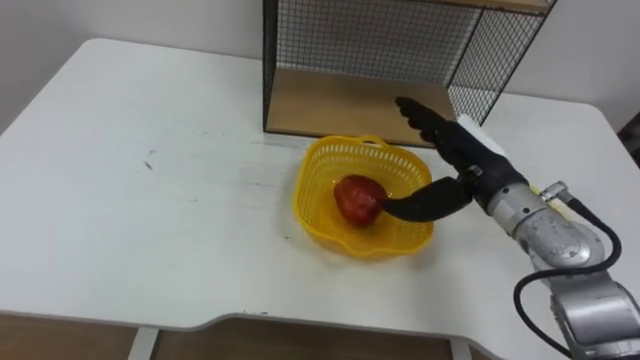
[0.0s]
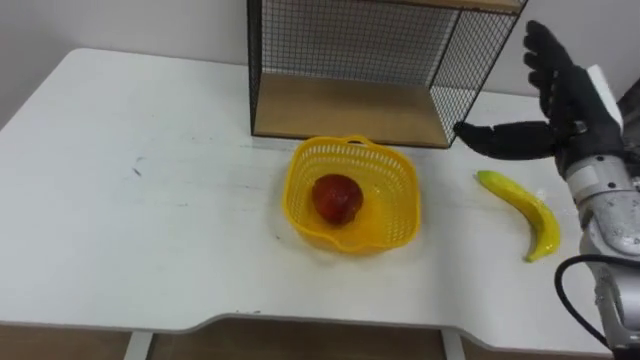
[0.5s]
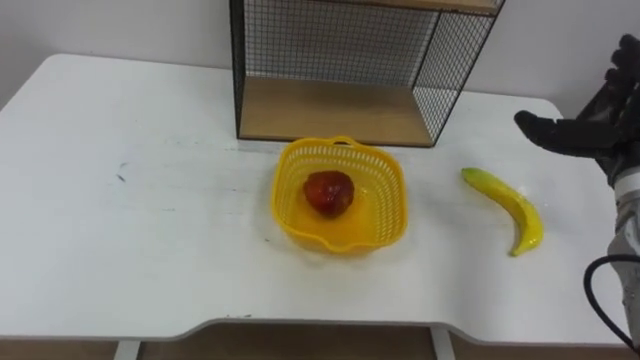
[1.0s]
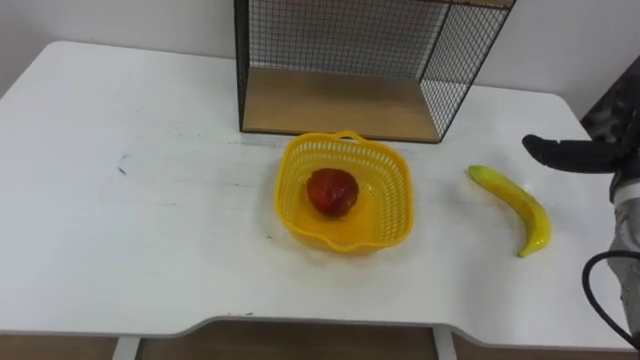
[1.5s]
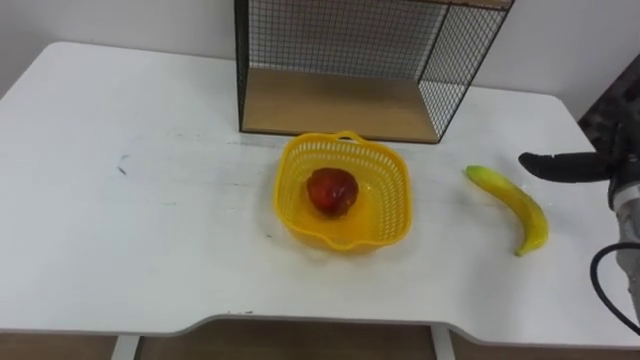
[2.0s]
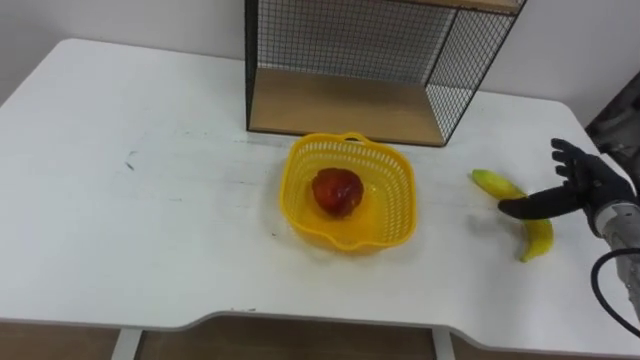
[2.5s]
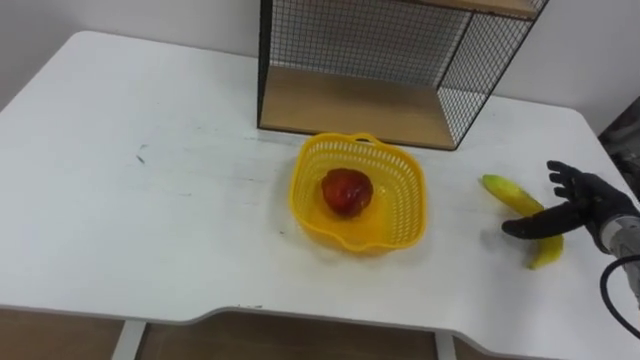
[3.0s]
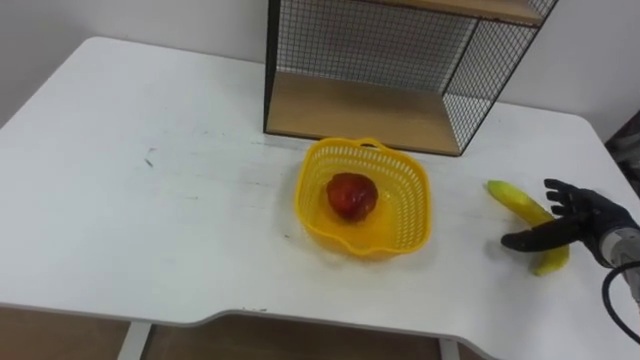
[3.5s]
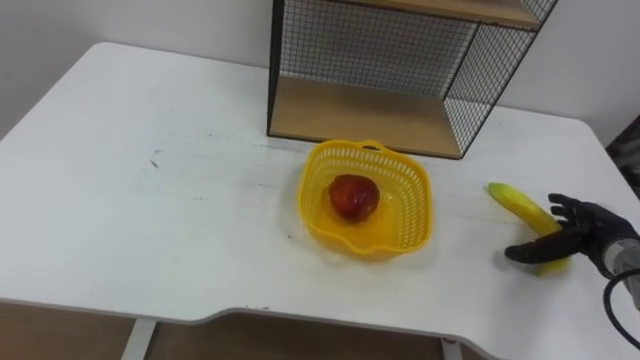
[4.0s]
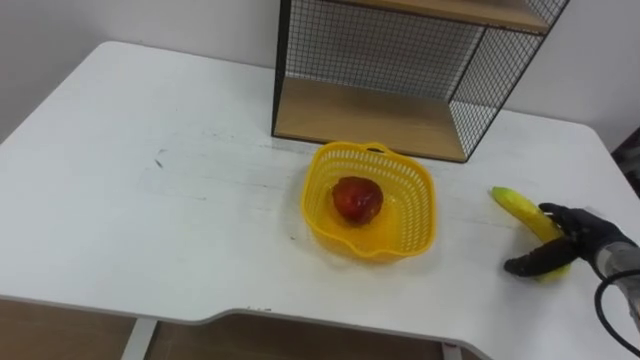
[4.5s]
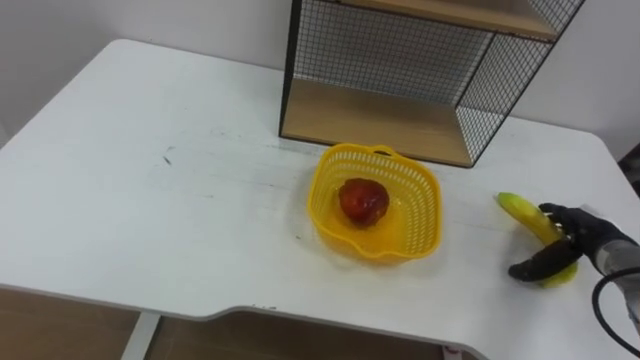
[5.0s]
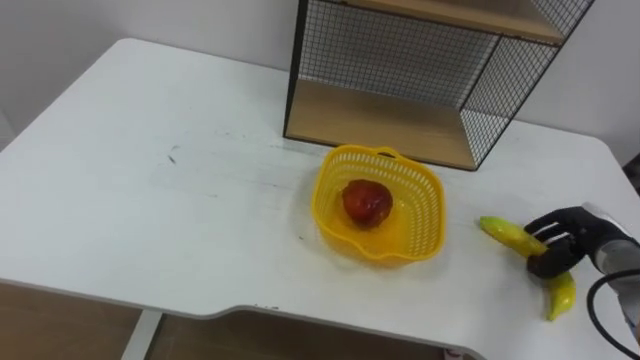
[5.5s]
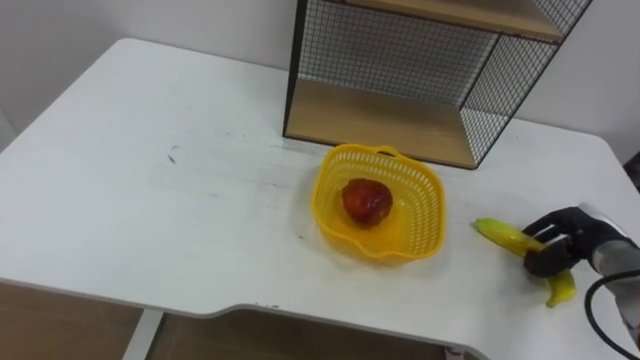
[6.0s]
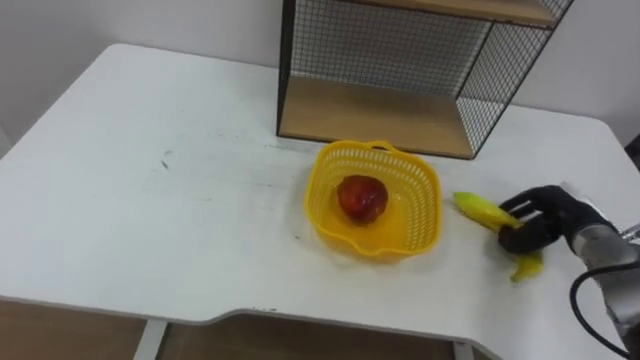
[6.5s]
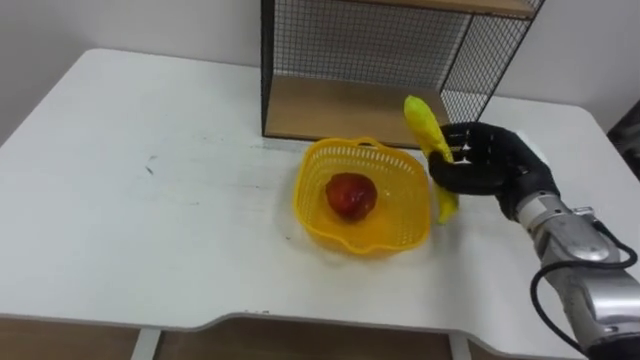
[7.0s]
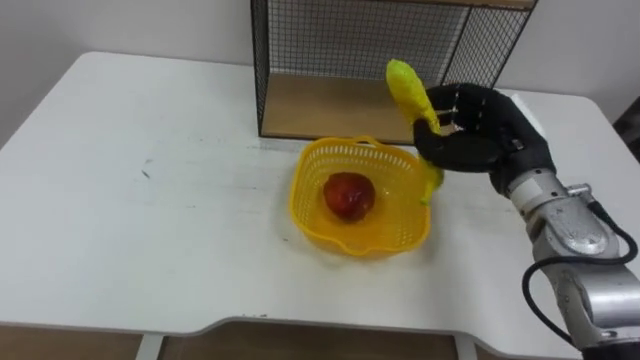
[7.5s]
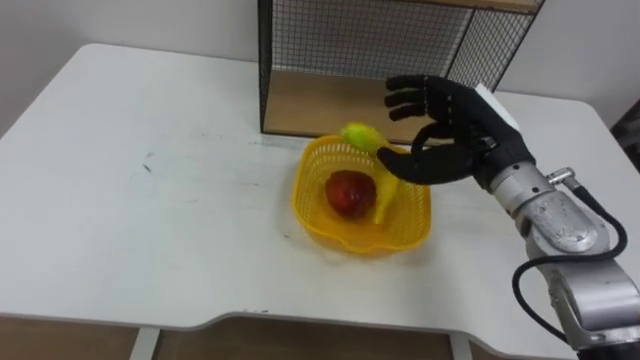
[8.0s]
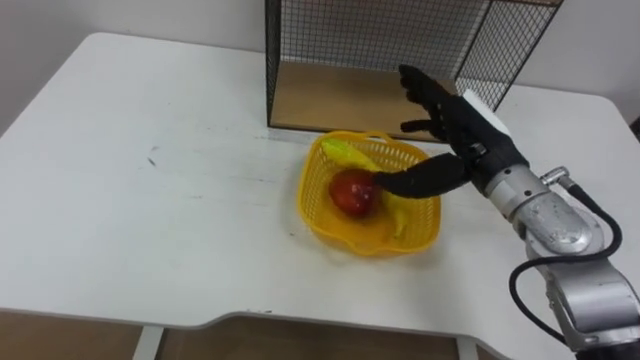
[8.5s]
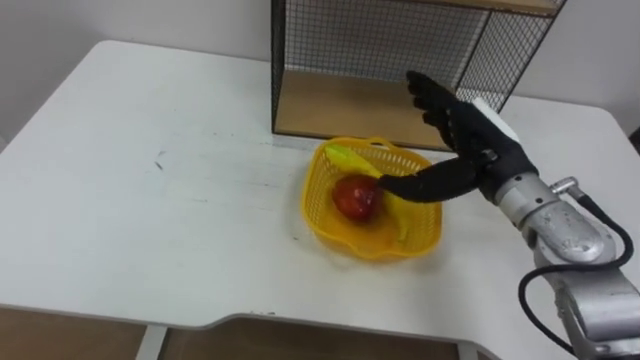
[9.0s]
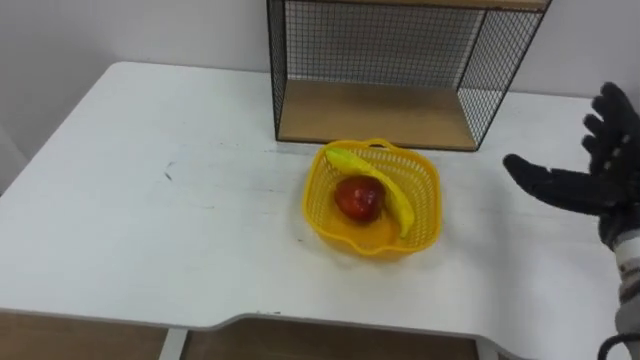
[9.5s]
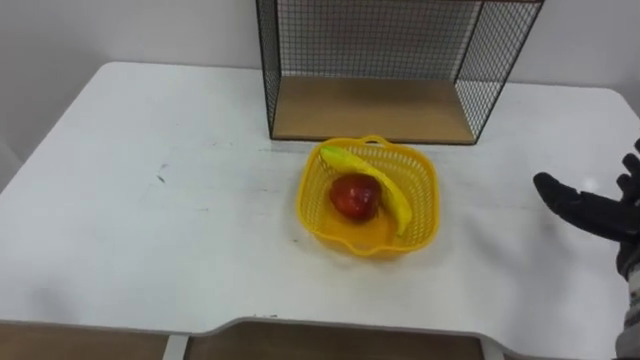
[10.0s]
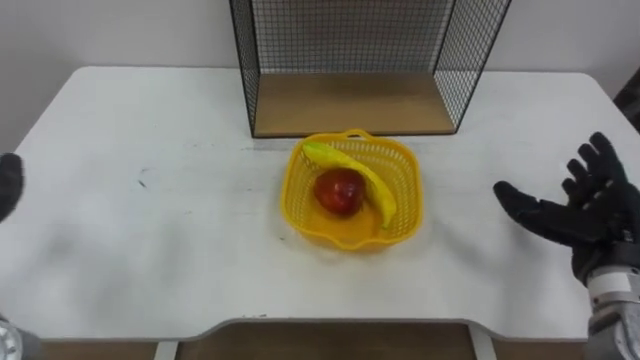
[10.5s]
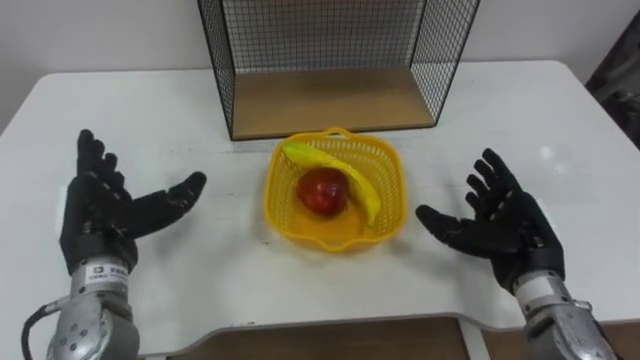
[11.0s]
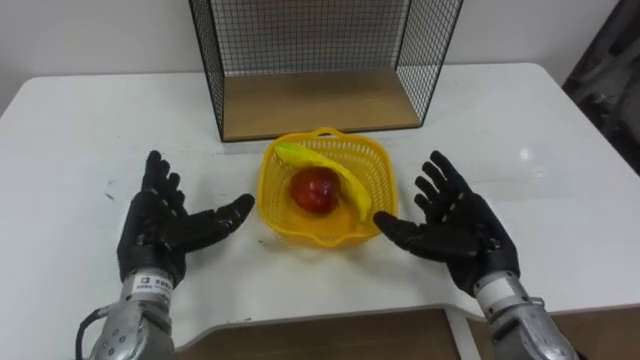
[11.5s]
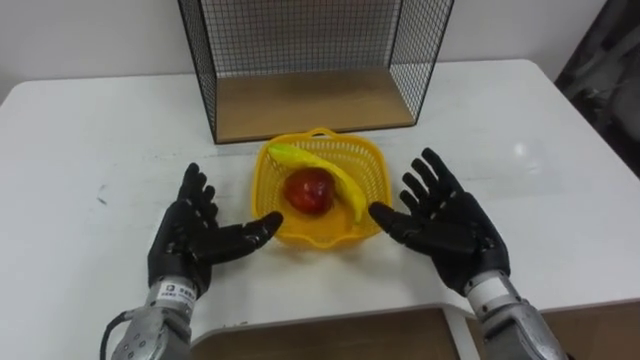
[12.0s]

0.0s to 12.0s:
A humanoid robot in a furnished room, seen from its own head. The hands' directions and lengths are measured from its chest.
Task of the whole recording: Put the fruit on the table into the basket, then place the basket on the shelf.
2.0s to 4.0s: The right hand is displaced downward by approximately 10 cm.
4.0s to 6.0s: The right hand closes up.
6.0s to 8.0s: The right hand travels to the left and upward by approximately 25 cm.

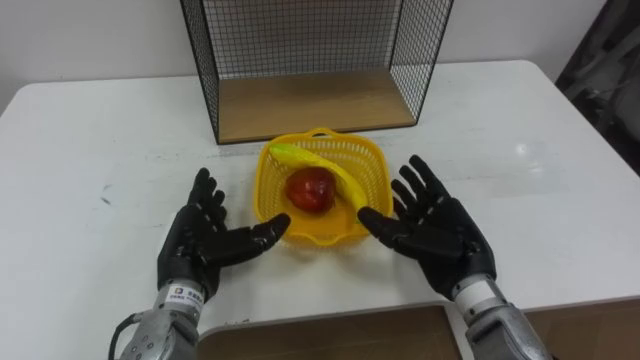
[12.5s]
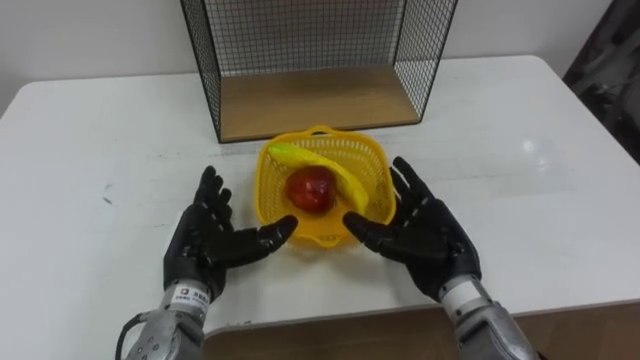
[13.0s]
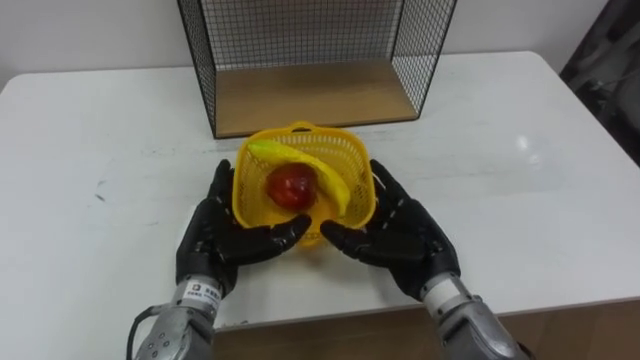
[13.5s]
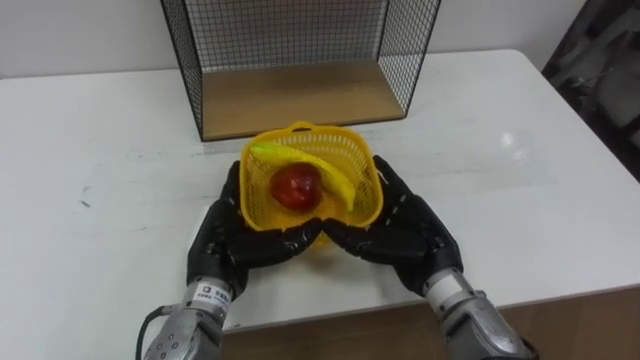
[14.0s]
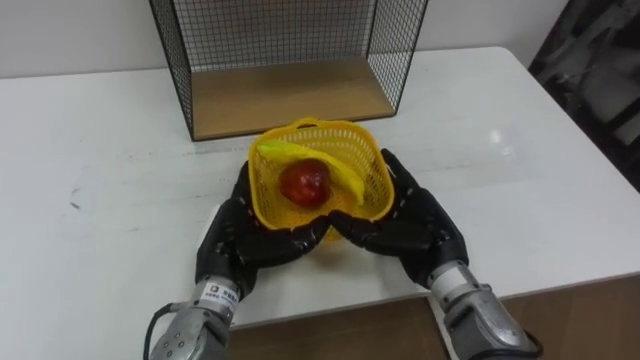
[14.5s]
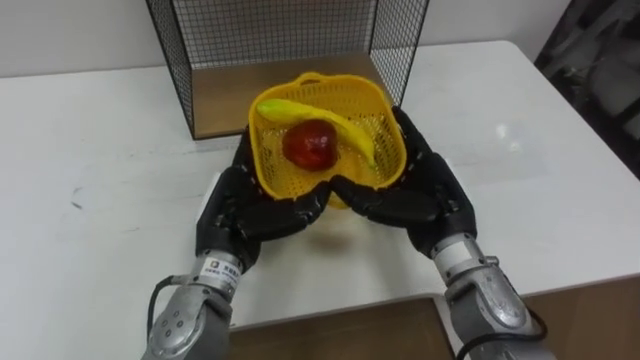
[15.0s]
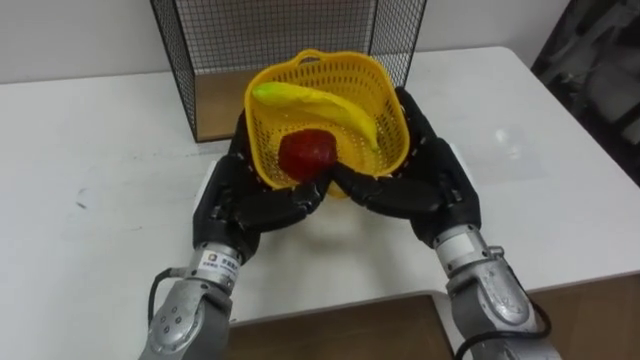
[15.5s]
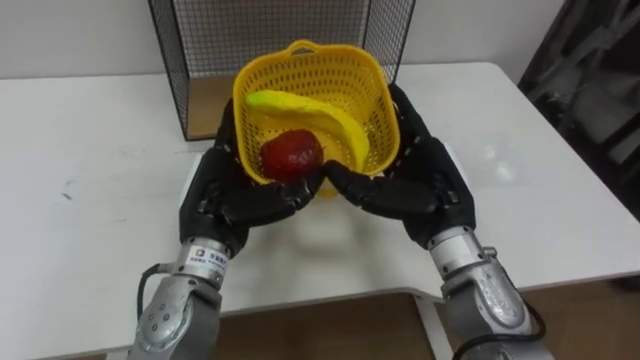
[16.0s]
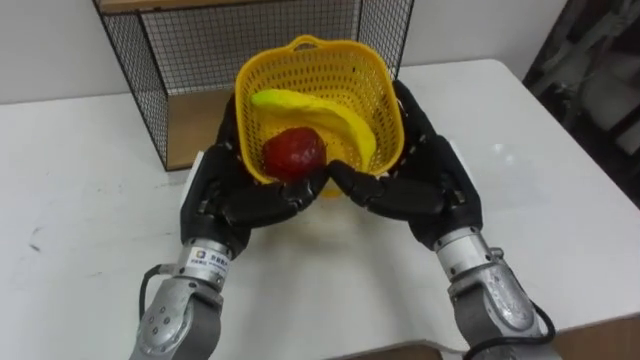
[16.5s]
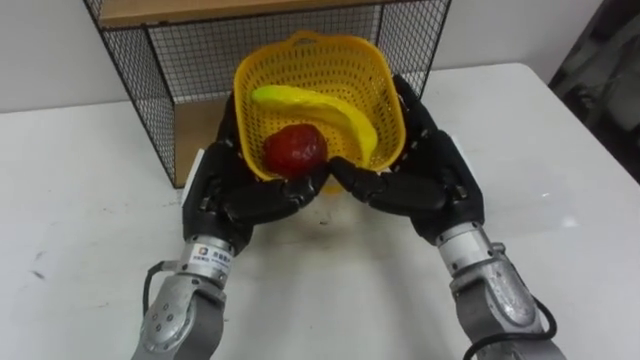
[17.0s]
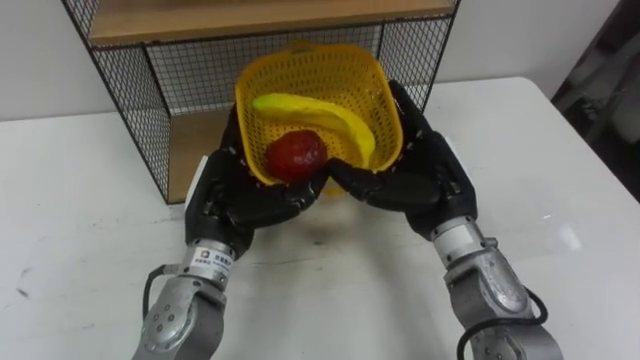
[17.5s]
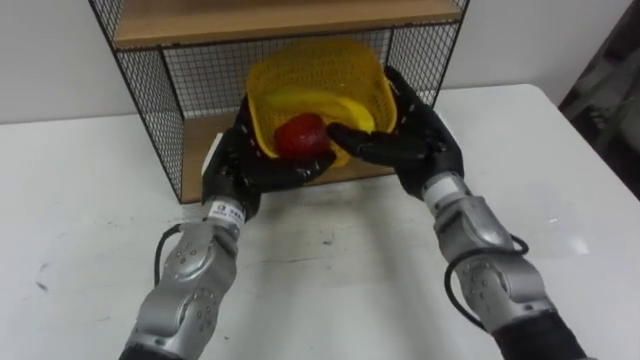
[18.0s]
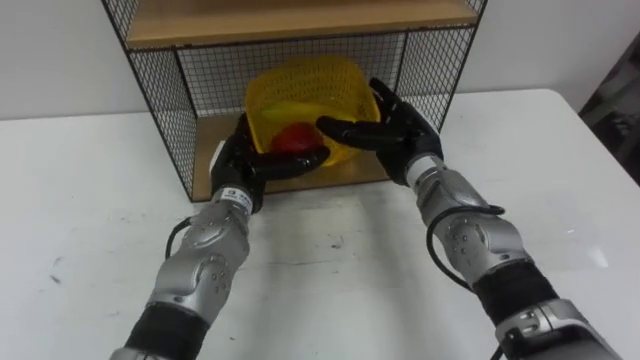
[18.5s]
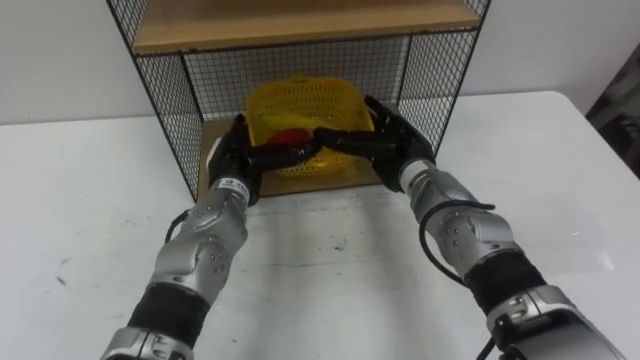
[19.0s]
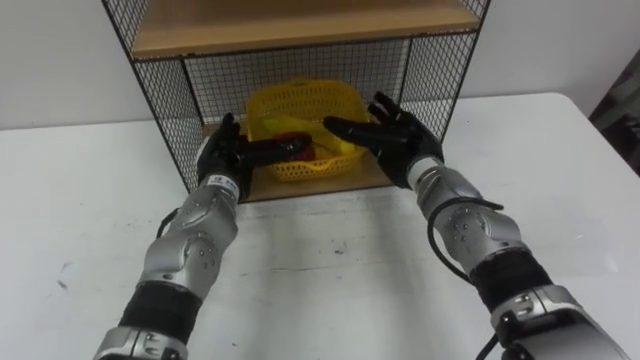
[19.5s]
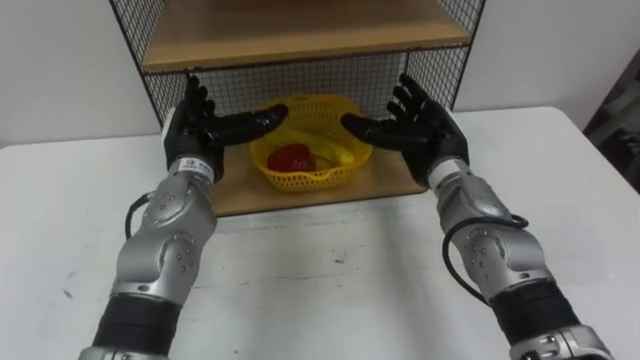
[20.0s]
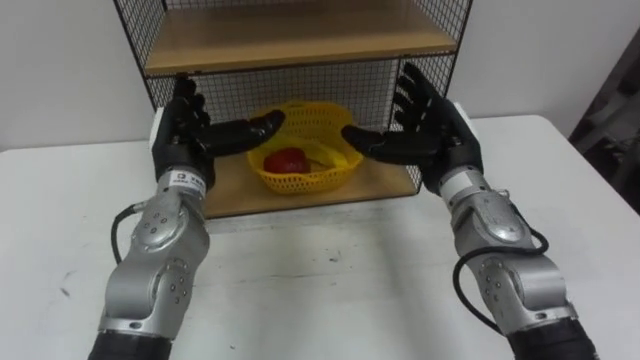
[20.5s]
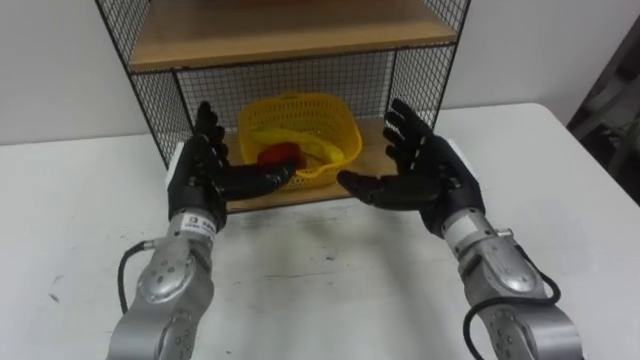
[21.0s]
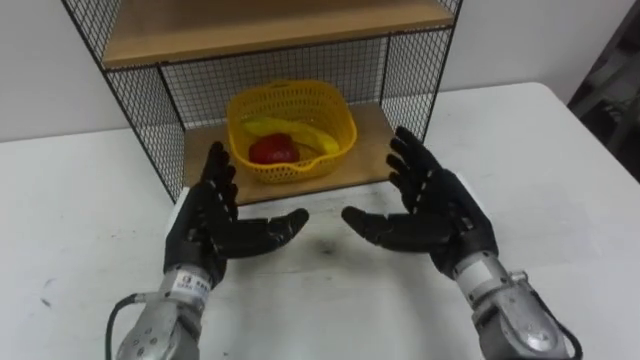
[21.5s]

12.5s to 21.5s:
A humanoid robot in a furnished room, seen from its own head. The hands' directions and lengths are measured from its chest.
Task of the whole recording: Put the fruit on the table into the basket, then place the basket on the shelf.
12.5s to 14.5s: The left hand moves to the right, about 5 cm.
14.5s to 17.0s: Both hands move upward, about 10 cm.
17.0s to 19.5s: The two hands go about 10 cm forward and downward.
19.5s to 21.5s: The two hands go approximately 10 cm backward.
